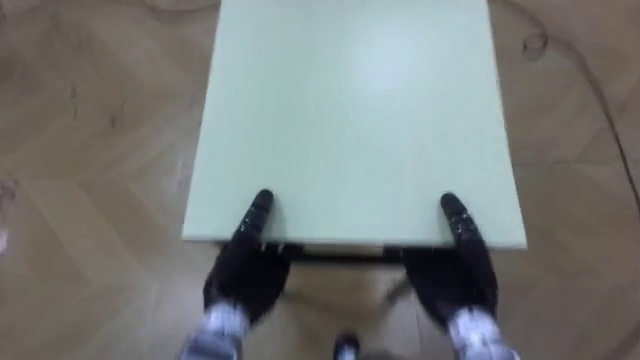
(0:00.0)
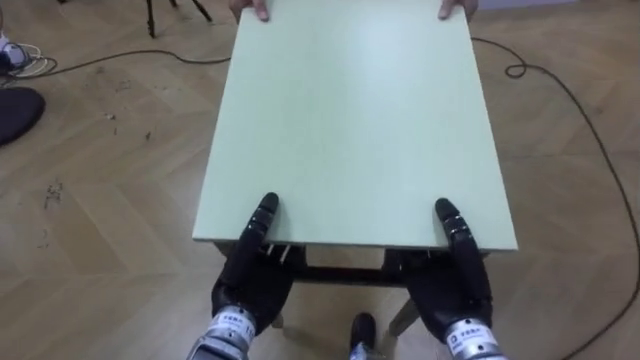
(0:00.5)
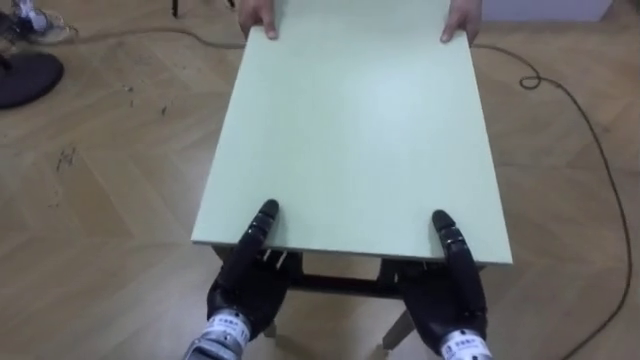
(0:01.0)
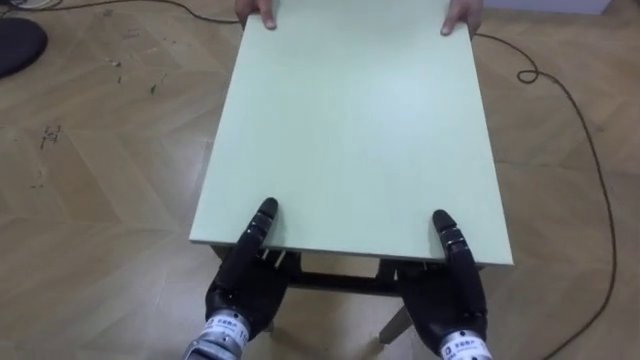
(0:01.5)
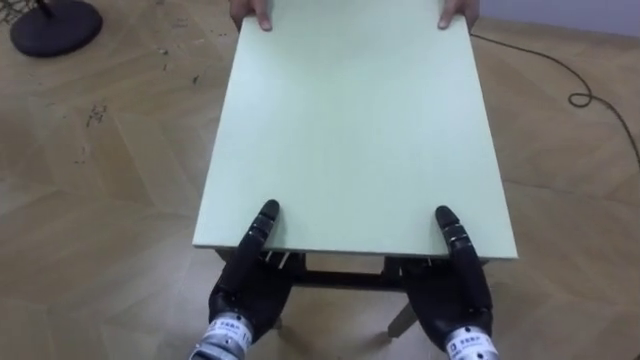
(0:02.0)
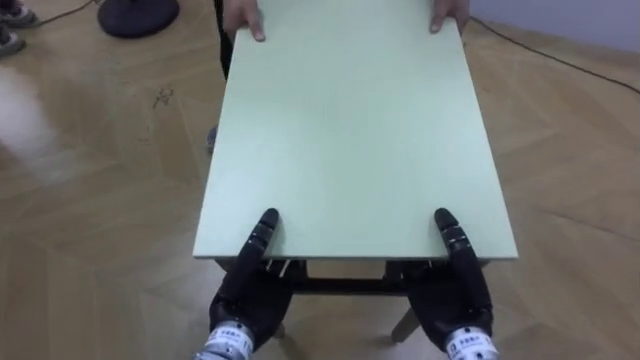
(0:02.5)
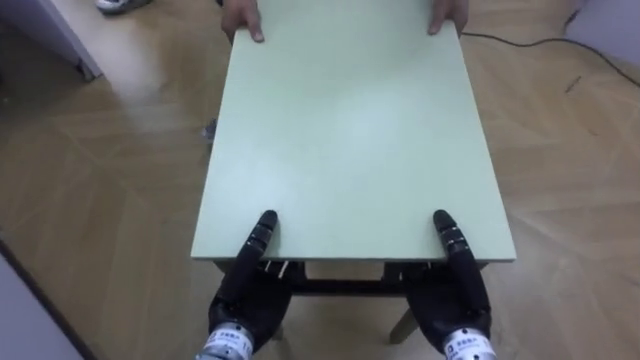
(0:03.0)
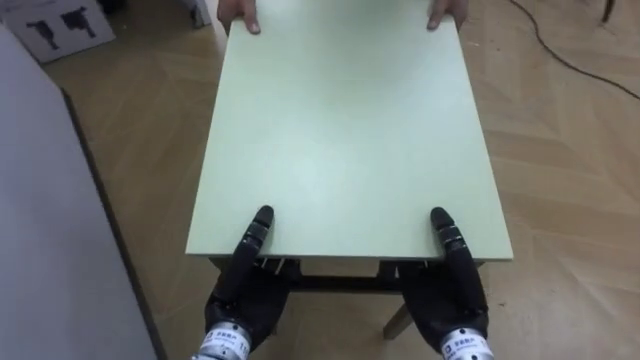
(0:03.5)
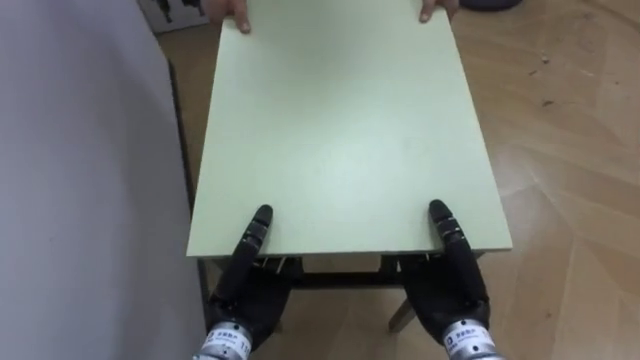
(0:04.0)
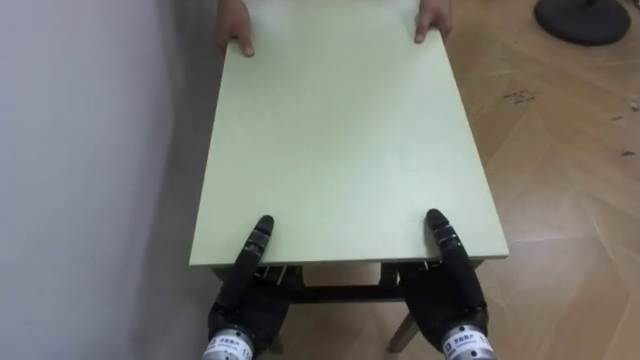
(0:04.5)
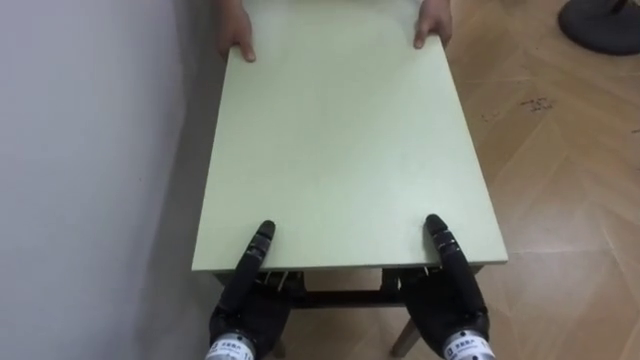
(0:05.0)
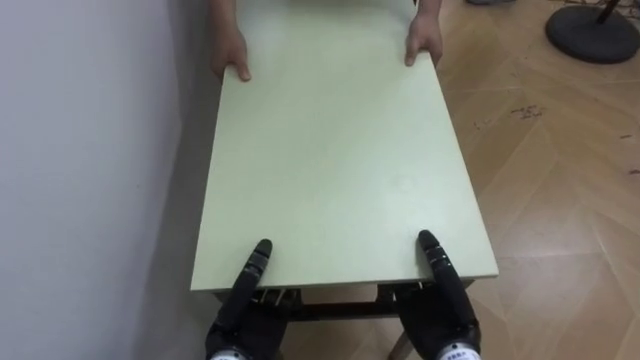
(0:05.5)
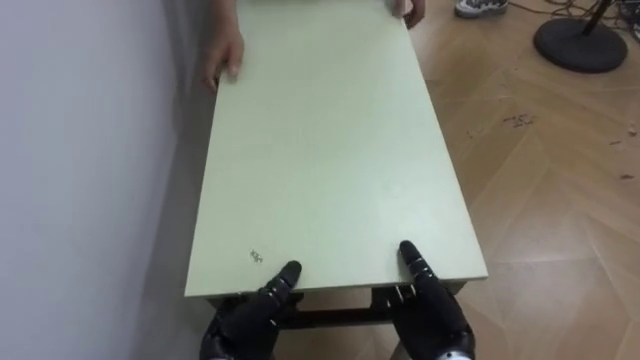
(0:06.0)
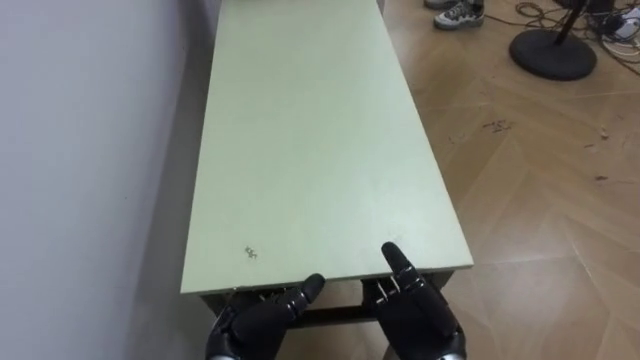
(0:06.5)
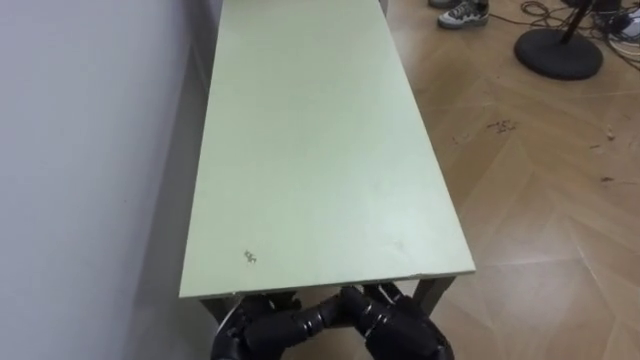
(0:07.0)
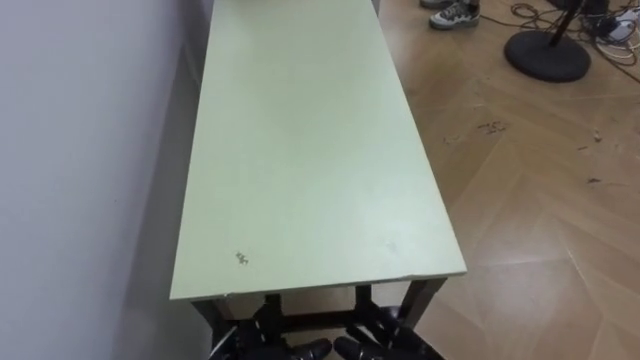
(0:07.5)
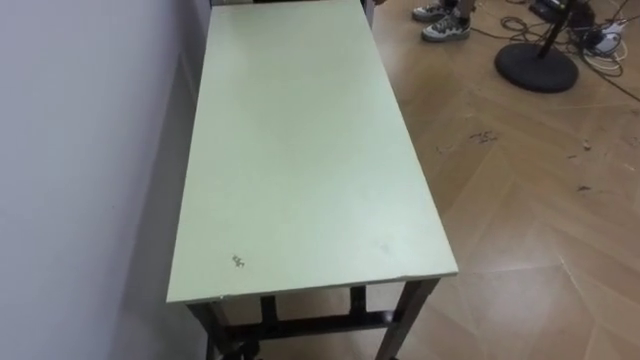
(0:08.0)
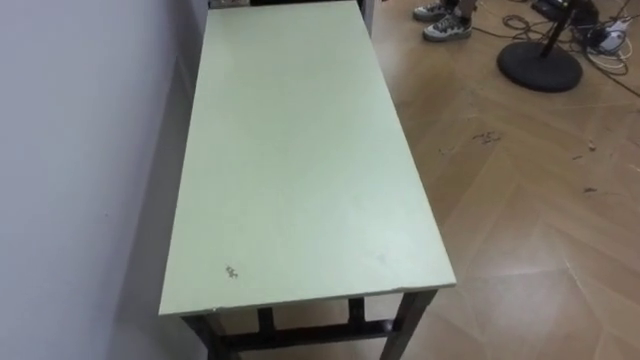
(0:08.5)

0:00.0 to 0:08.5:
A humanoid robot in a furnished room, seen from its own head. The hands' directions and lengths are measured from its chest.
Task of the whole recording: Move the table to the back left with someone.
0:02.0 to 0:04.0: The robot rotates about 60 degrees to its left.
0:04.0 to 0:06.5: The right hand changes place by approximately 5 cm, and opens. Meanwhile the left hand changes place by roughly 5 cm, and opens up.
